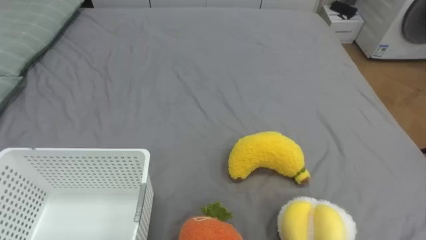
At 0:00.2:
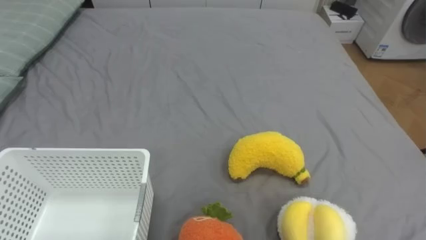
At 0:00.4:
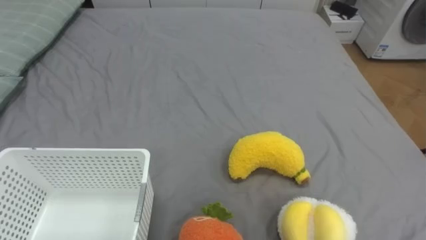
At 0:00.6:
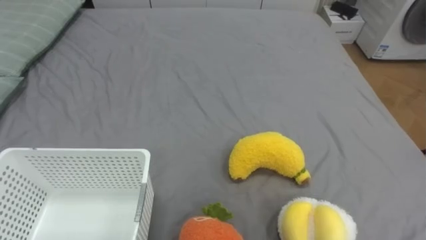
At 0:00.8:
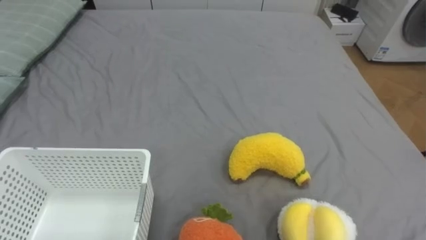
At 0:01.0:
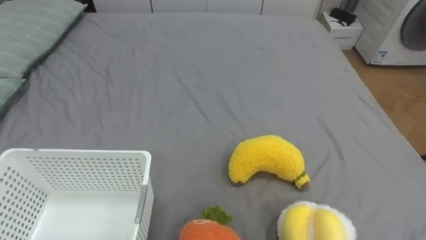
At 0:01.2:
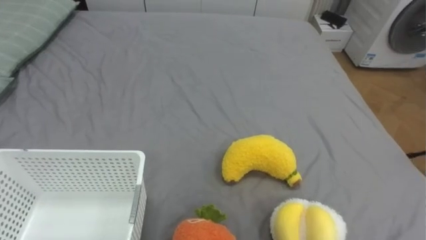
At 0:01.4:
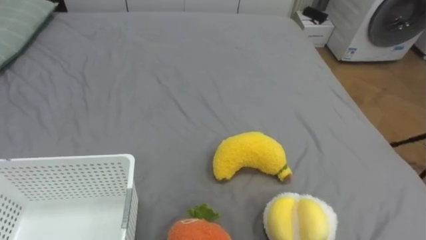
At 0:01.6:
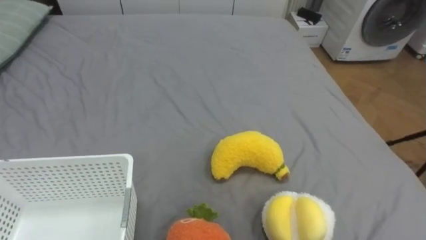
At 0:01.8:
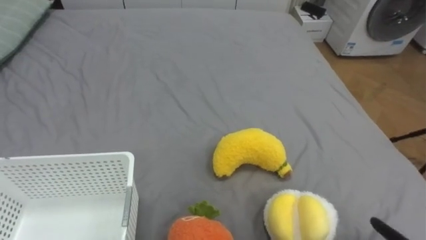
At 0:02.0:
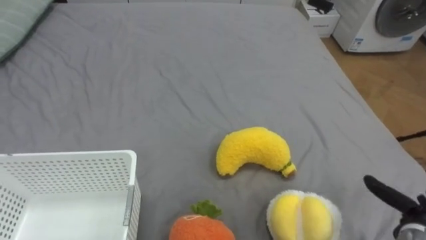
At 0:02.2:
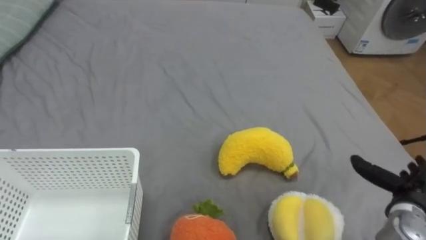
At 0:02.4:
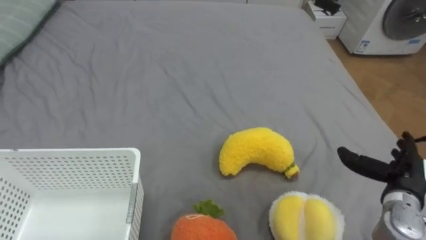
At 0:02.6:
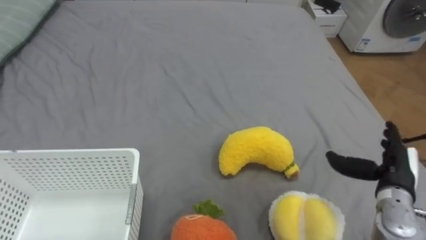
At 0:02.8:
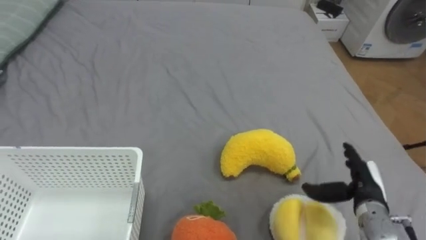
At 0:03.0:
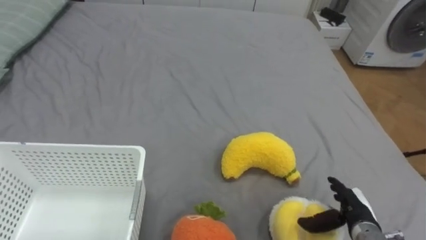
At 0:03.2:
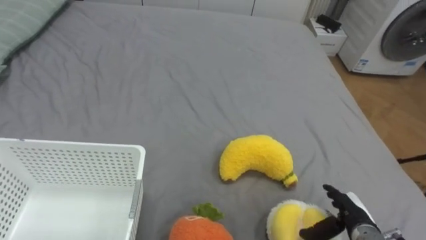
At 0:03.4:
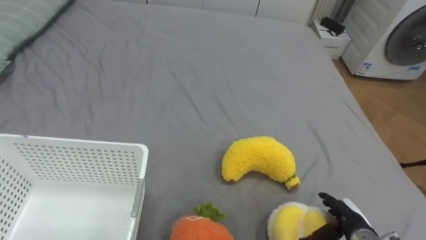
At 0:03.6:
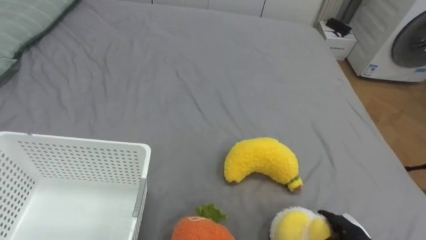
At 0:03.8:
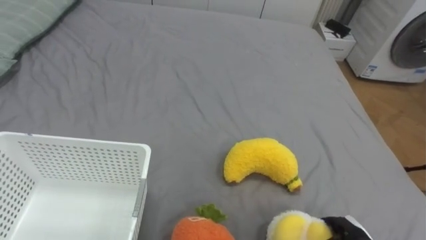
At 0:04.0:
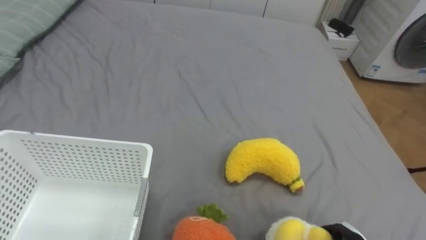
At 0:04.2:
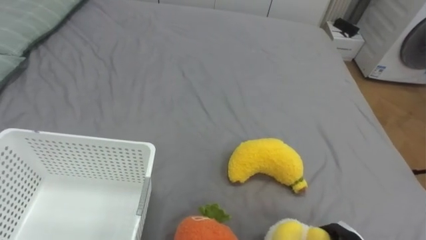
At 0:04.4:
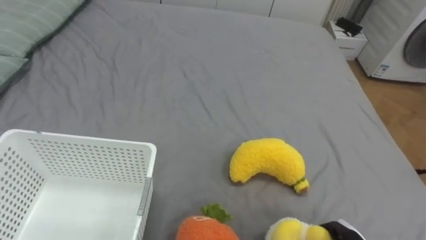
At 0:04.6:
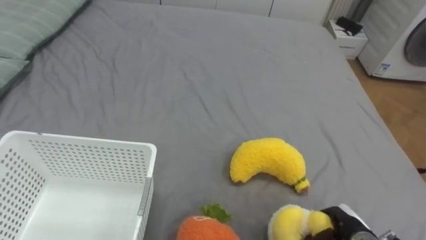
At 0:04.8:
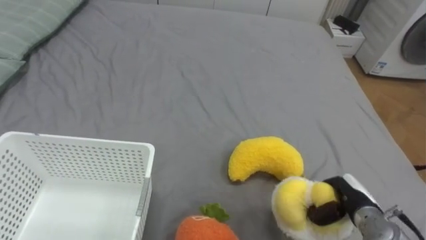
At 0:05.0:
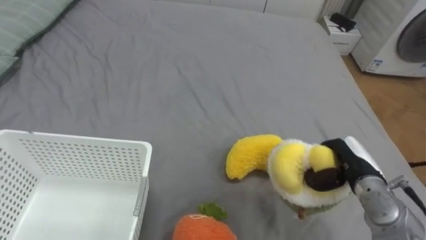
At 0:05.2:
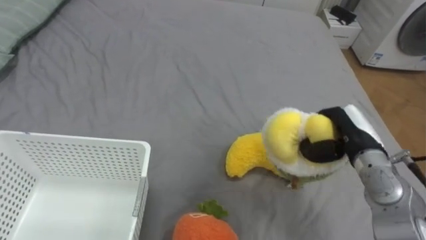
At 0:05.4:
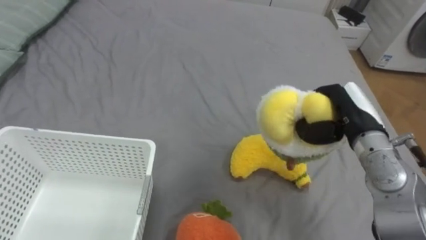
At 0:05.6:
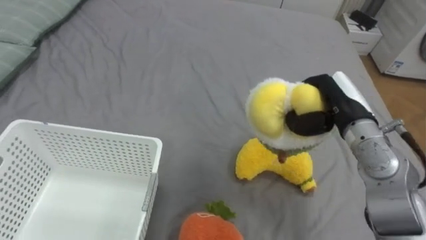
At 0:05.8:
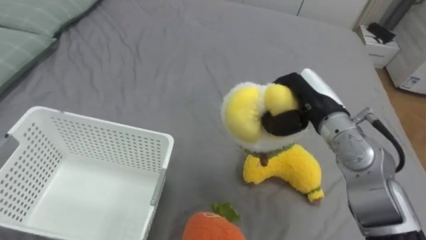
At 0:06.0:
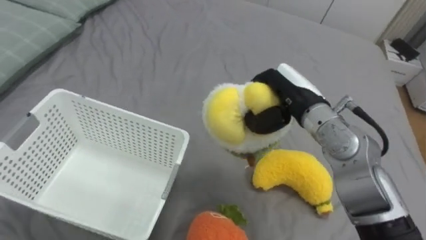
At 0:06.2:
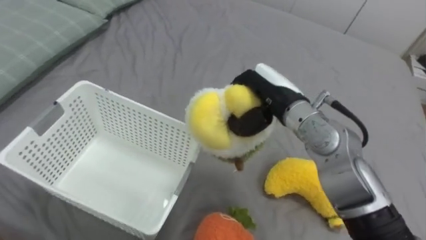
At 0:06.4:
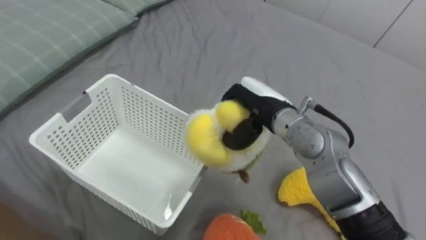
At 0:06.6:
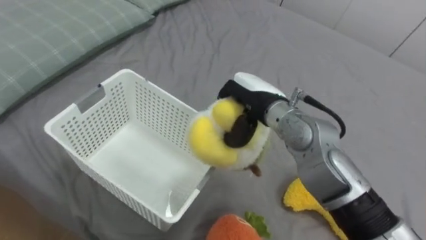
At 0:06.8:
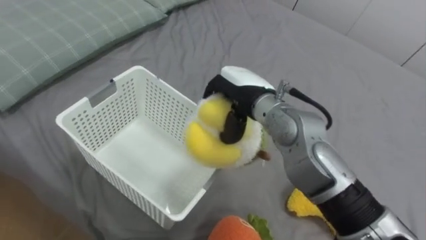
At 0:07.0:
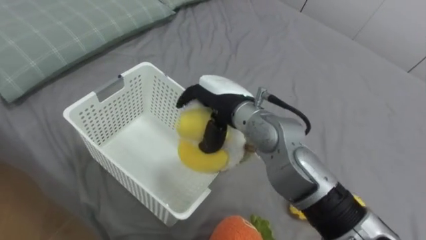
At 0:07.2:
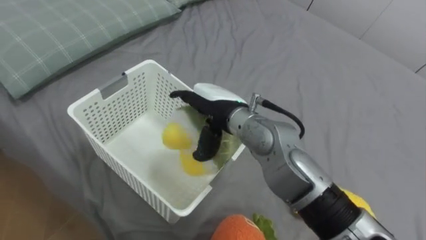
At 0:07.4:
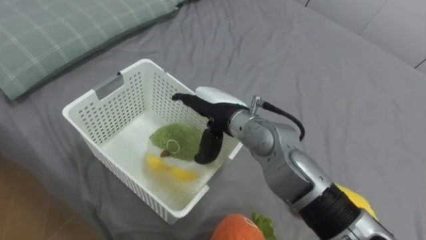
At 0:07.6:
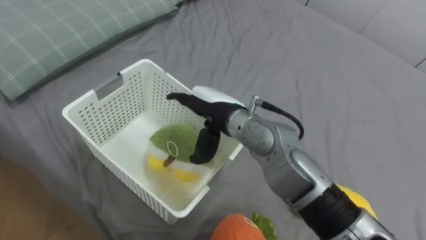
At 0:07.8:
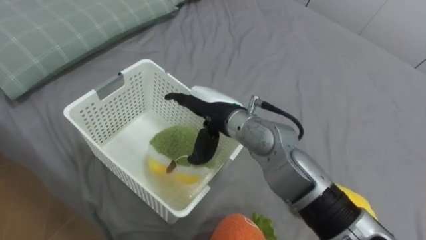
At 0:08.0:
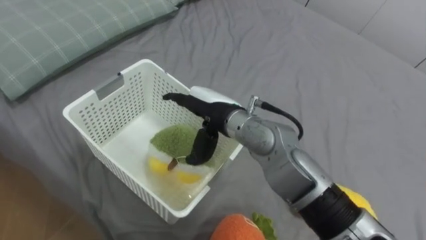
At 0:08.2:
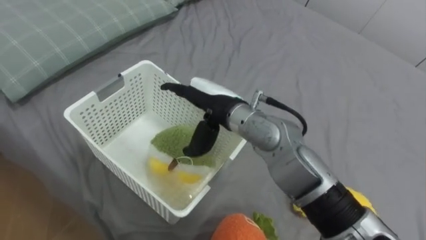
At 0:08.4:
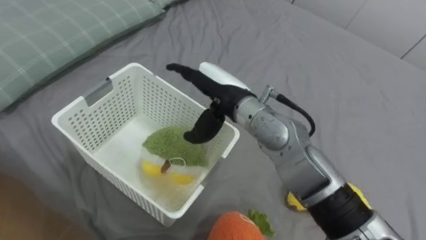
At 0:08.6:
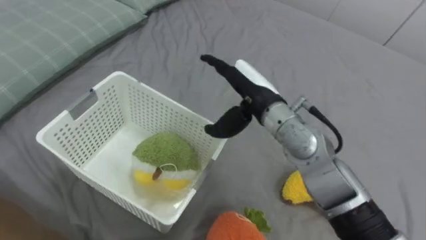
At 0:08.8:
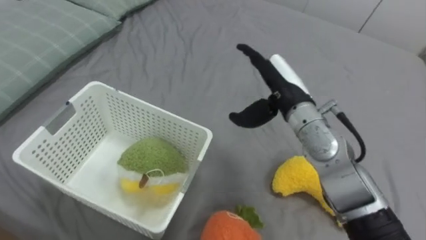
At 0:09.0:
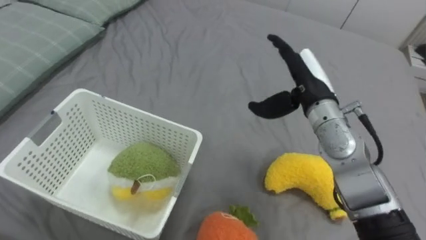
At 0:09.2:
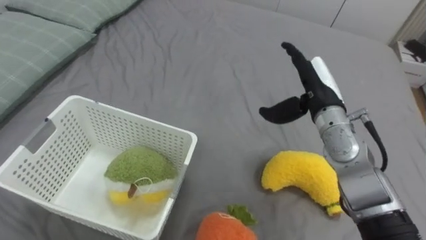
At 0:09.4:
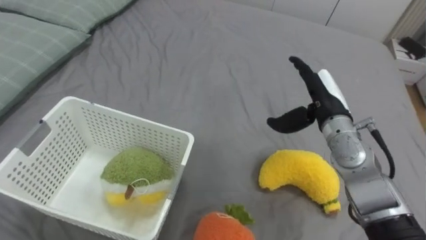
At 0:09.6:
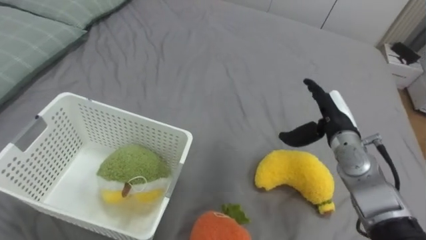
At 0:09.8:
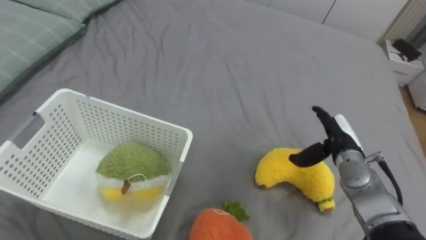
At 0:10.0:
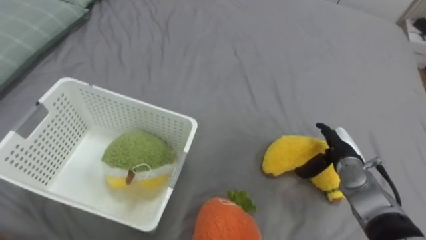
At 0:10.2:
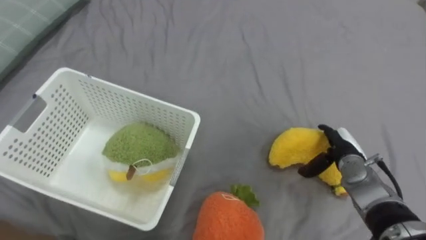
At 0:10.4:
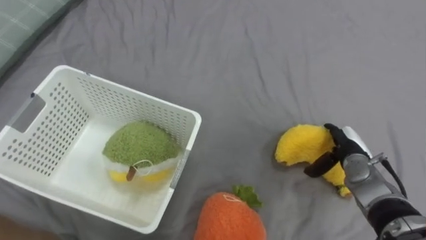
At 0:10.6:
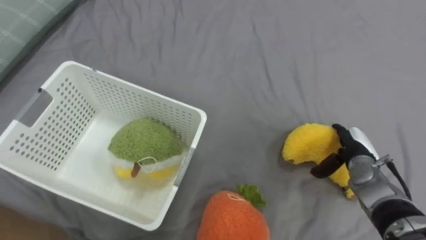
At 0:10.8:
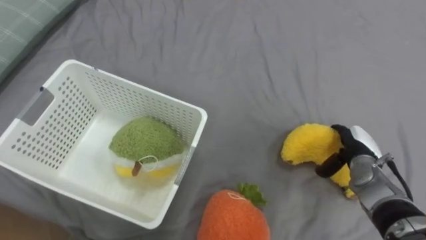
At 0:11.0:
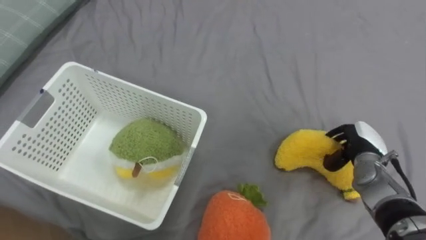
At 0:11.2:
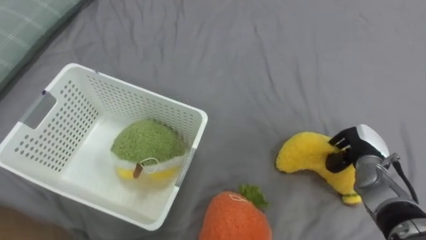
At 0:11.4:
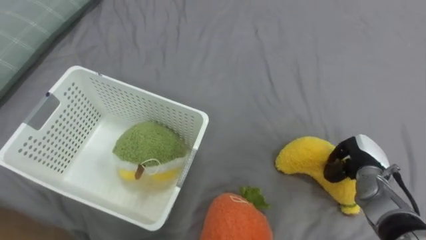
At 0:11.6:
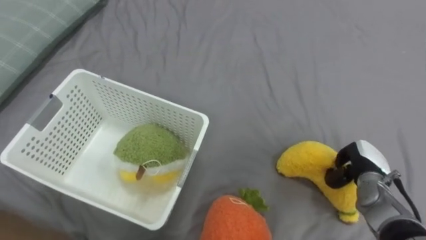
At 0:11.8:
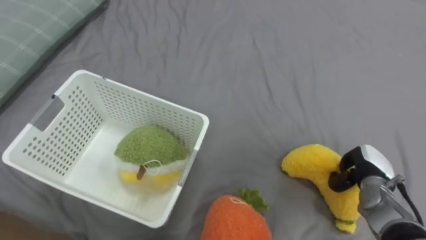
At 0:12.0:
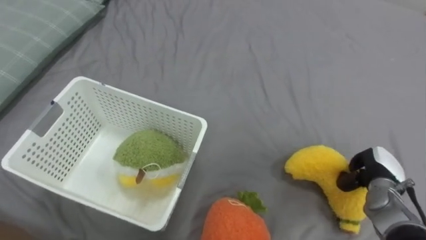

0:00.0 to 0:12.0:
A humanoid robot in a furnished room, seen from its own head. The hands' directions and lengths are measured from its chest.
Task of the whole recording: Put the toys on the bed into the basket on the left.
0:06.0 to 0:07.6: The right hand is displaced to the left by roughly 15 cm, and opens.
0:07.6 to 0:09.0: The right hand travels to the right by some 15 cm.
0:09.0 to 0:10.4: The right hand goes roughly 20 cm downward and to the right.
0:10.4 to 0:12.0: The right hand heads to the right, covering some 5 cm, and closes its fingers.

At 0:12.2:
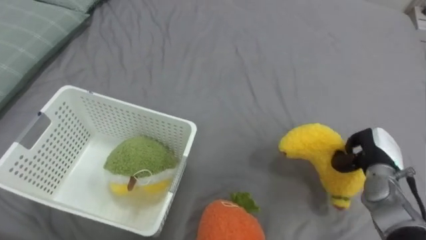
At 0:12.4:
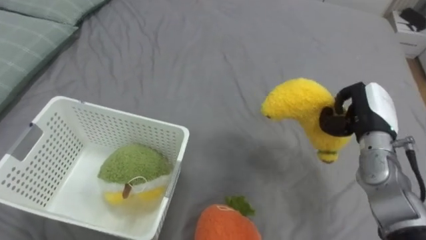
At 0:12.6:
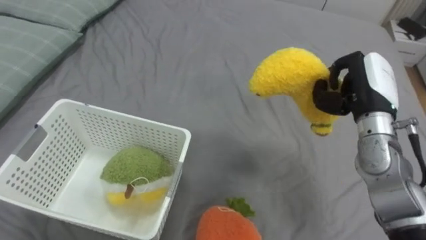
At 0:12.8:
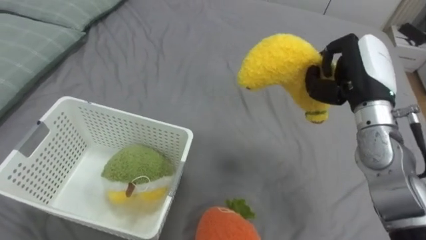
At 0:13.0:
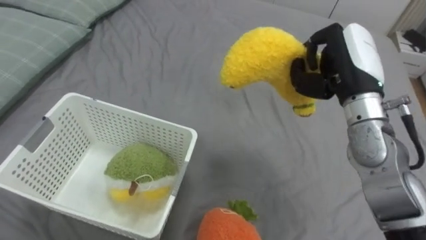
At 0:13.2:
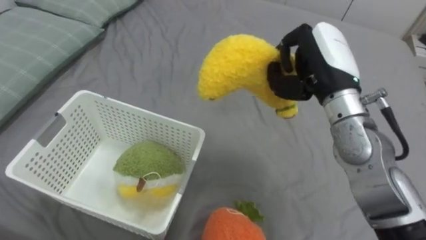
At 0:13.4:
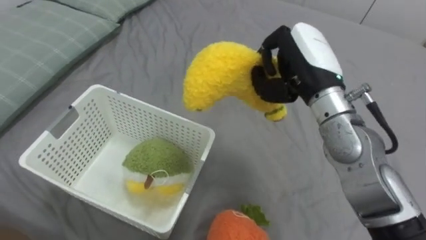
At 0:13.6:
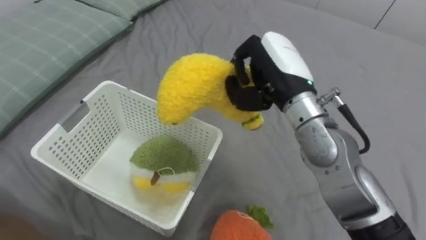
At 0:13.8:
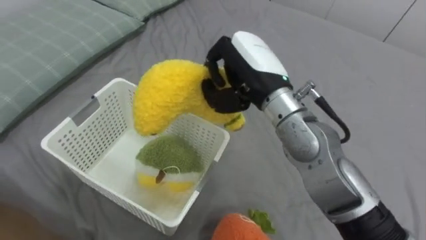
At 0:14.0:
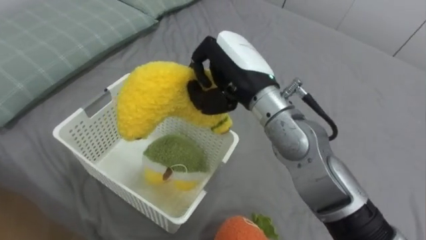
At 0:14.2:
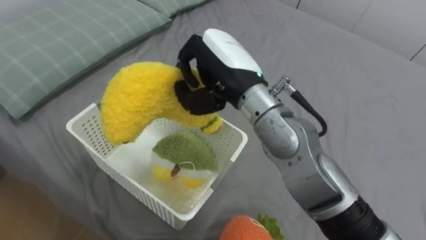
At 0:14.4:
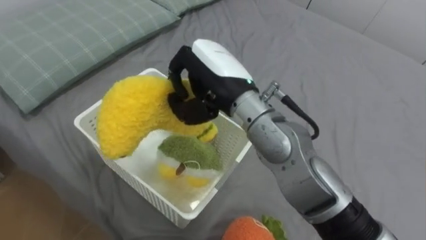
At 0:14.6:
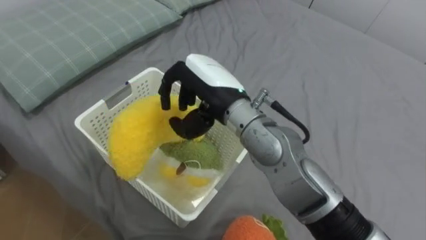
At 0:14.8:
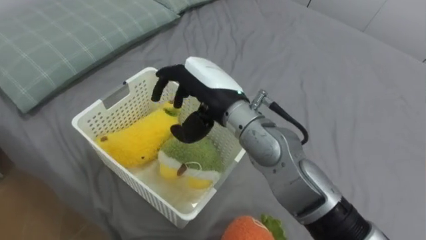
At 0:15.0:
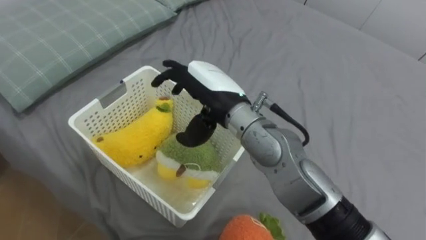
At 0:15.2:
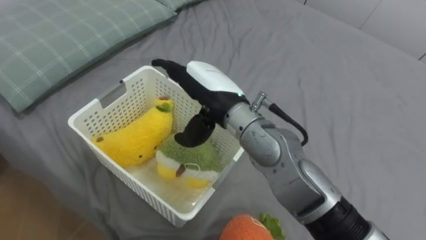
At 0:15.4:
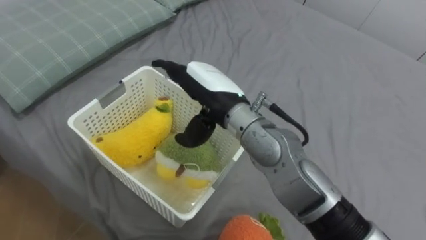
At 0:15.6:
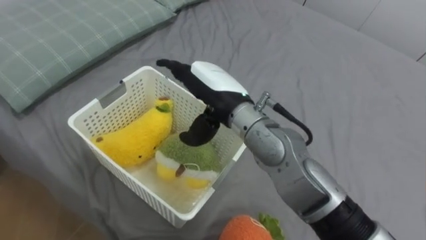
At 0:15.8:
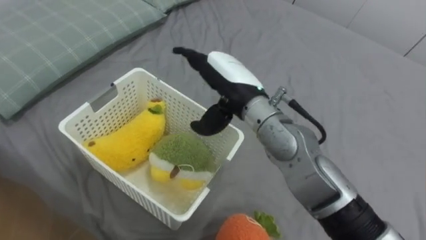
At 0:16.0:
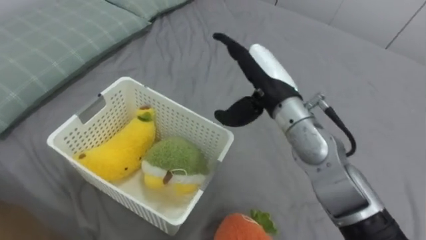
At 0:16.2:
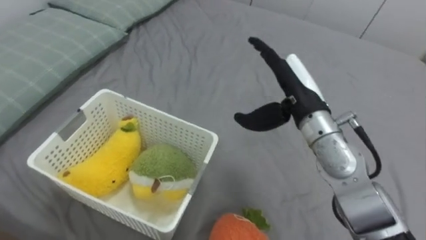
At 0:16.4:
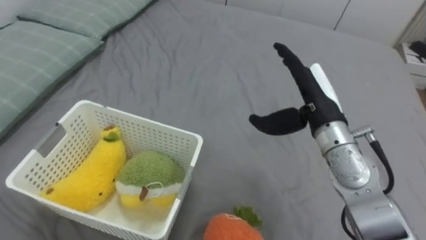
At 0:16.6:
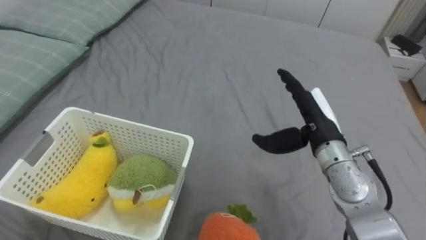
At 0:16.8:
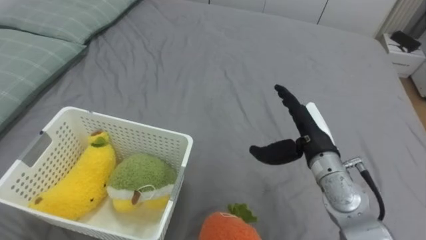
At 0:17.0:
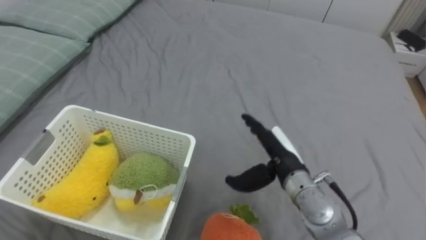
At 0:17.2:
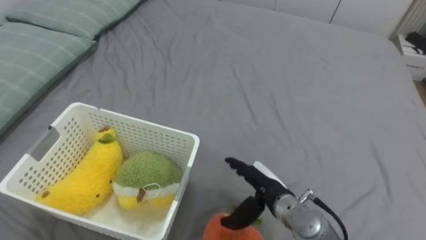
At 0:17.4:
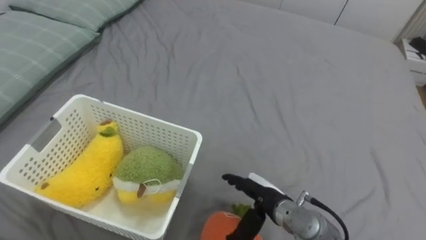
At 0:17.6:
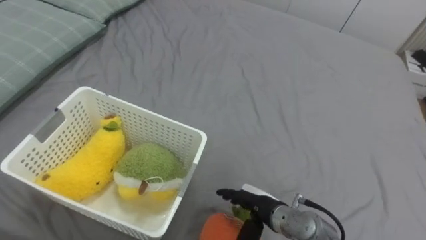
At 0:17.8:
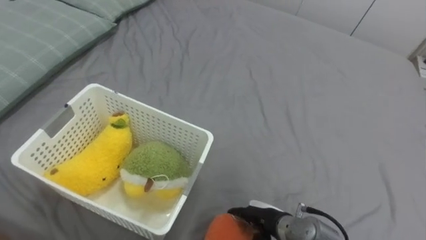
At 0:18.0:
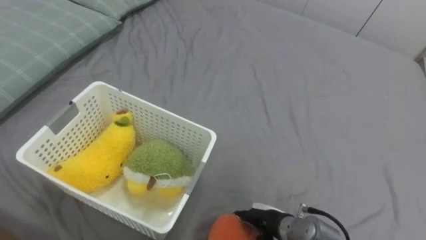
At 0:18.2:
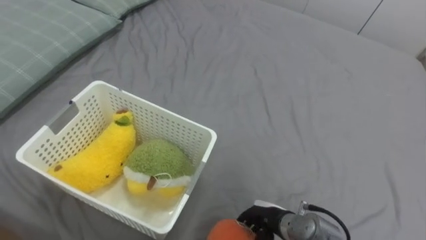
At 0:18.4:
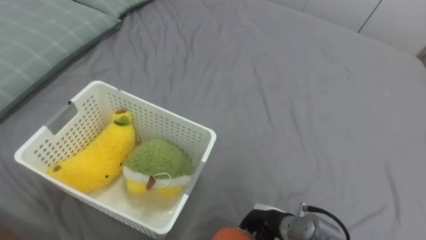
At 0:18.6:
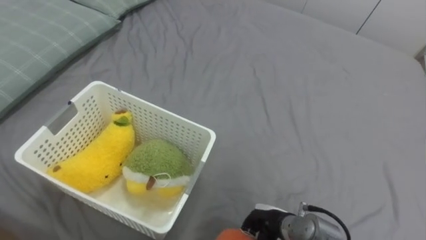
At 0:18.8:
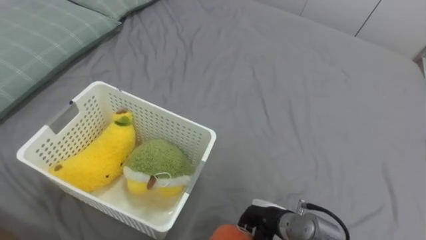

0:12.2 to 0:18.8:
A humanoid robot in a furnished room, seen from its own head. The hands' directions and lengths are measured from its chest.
Task of the whole recording: Put the toys on the bed into the basket on the left.
0:12.2 to 0:13.8: The right hand is displaced to the left and upward by approximately 35 cm.
0:13.8 to 0:15.4: The right hand shifts about 5 cm to the left, and opens its fingers.
0:15.4 to 0:17.2: The right hand moves downward and to the right, about 20 cm.
0:17.2 to 0:18.8: The right hand heads downward and backward, covering approximately 10 cm, and closes.
